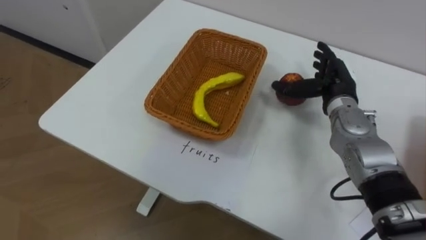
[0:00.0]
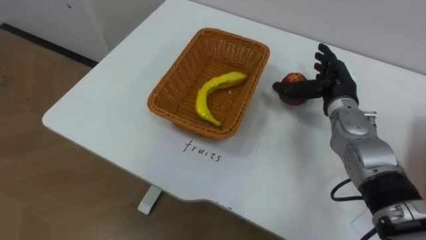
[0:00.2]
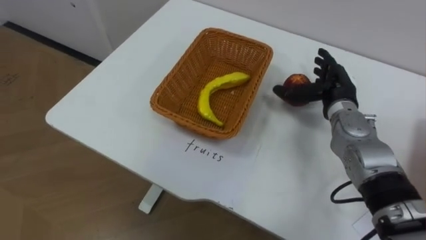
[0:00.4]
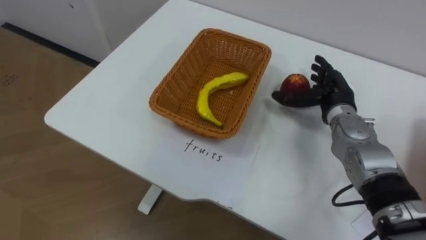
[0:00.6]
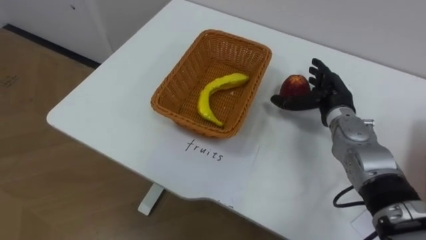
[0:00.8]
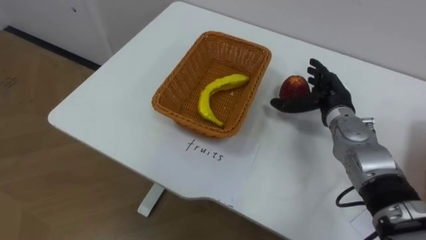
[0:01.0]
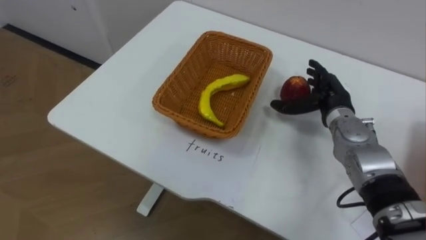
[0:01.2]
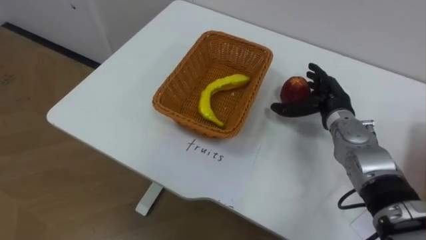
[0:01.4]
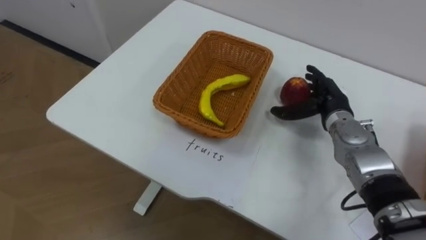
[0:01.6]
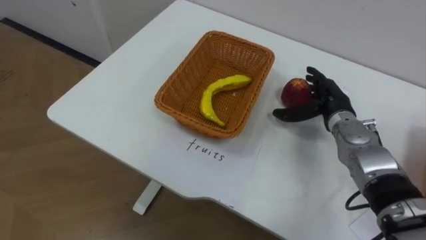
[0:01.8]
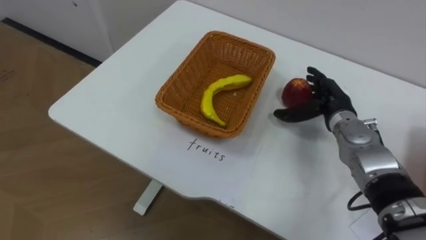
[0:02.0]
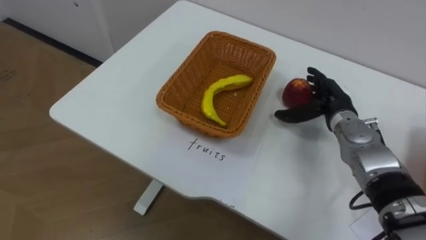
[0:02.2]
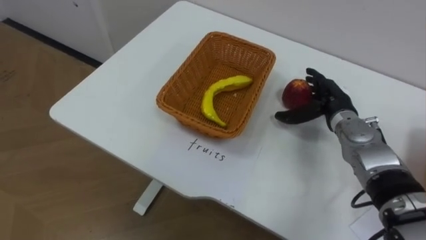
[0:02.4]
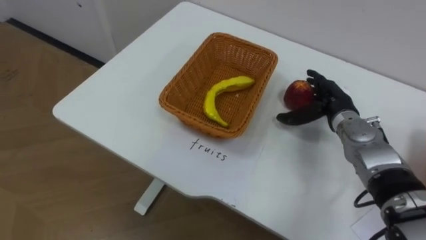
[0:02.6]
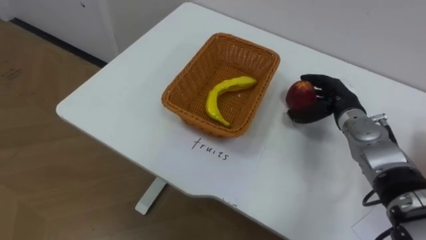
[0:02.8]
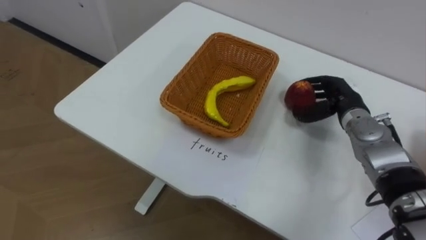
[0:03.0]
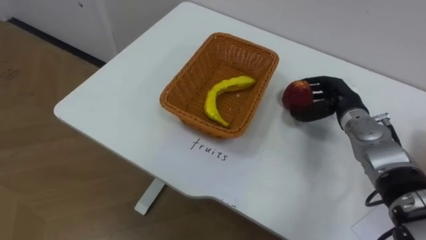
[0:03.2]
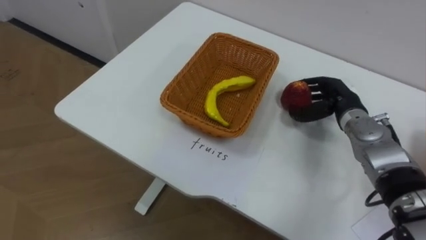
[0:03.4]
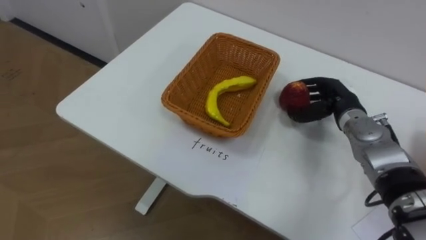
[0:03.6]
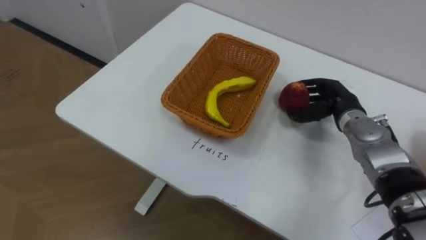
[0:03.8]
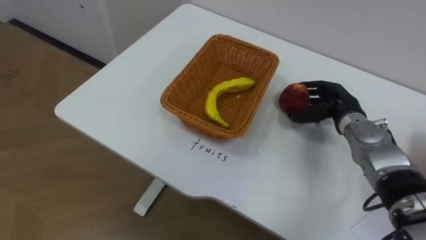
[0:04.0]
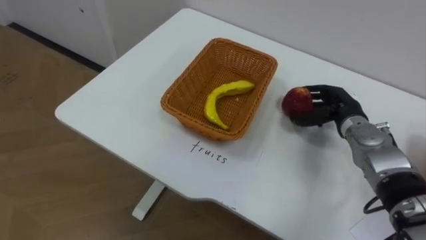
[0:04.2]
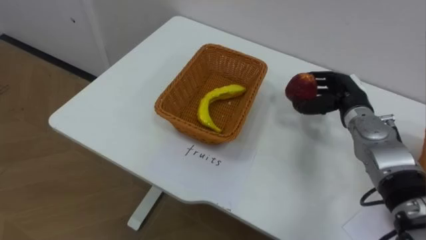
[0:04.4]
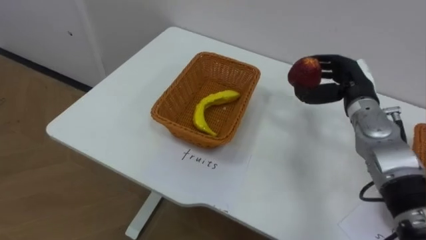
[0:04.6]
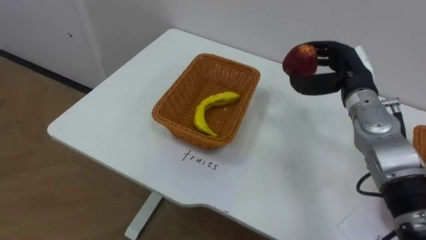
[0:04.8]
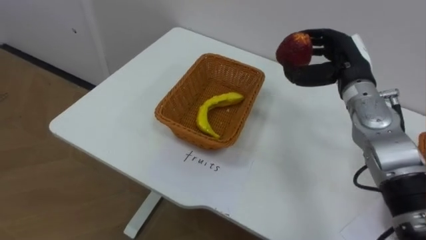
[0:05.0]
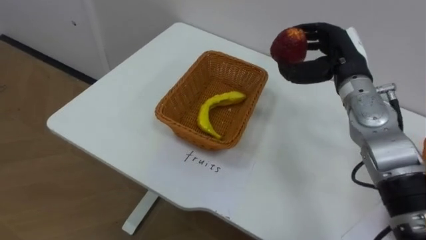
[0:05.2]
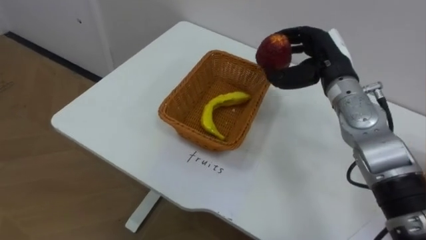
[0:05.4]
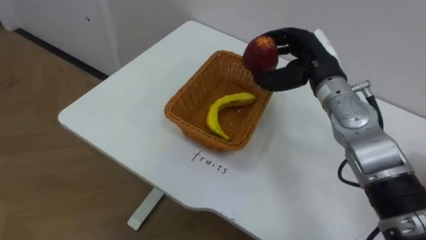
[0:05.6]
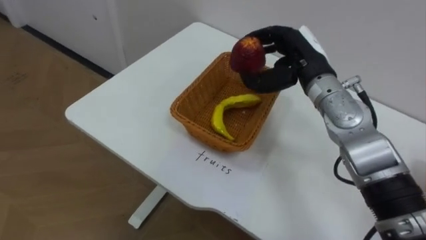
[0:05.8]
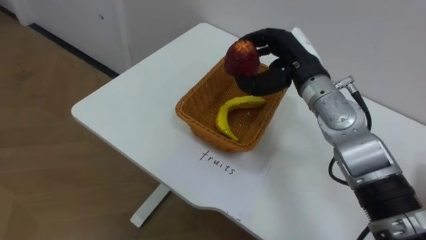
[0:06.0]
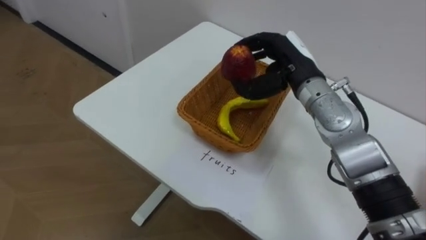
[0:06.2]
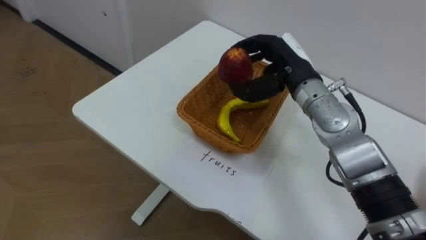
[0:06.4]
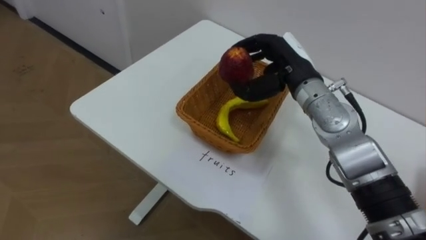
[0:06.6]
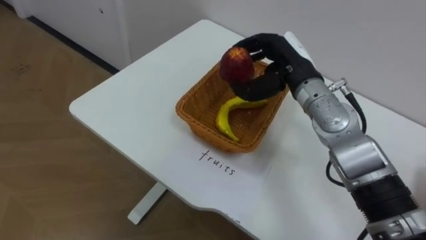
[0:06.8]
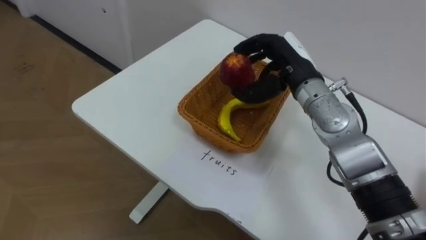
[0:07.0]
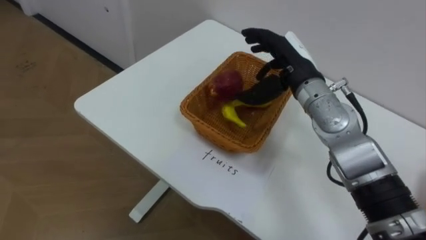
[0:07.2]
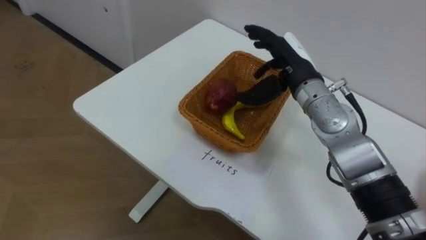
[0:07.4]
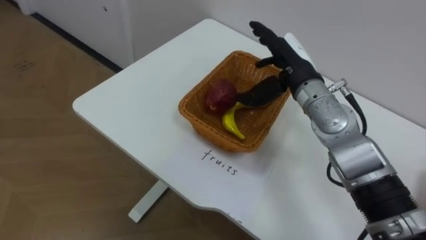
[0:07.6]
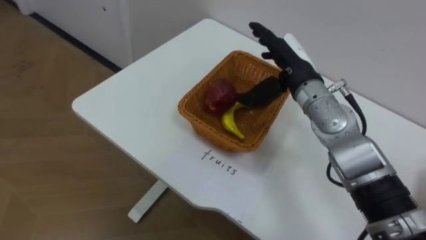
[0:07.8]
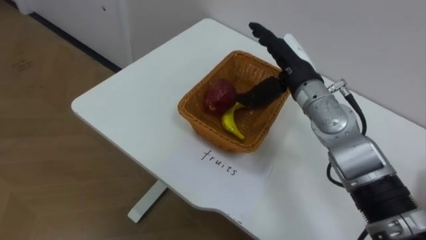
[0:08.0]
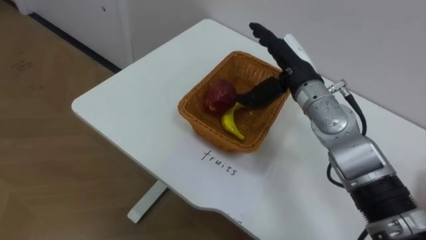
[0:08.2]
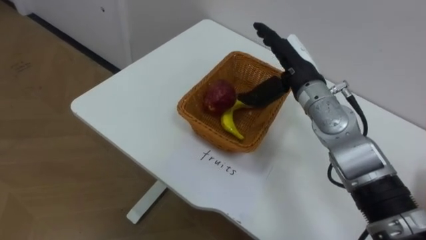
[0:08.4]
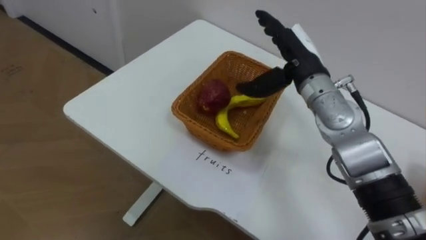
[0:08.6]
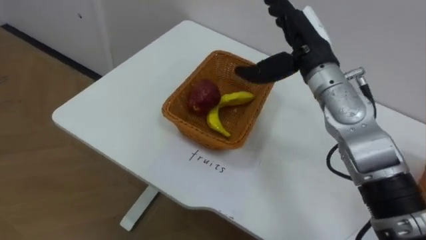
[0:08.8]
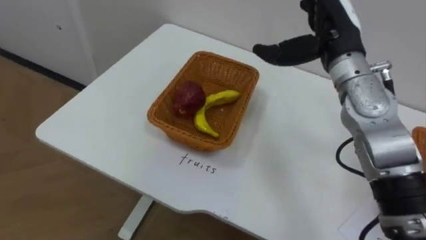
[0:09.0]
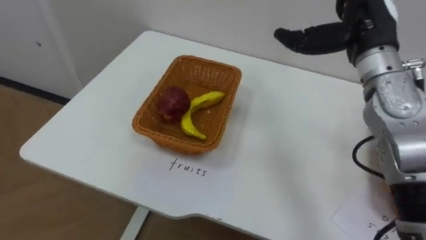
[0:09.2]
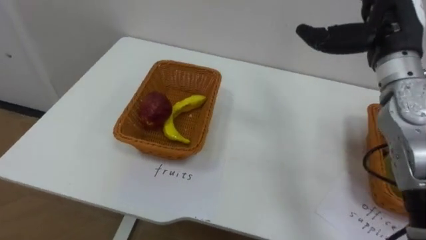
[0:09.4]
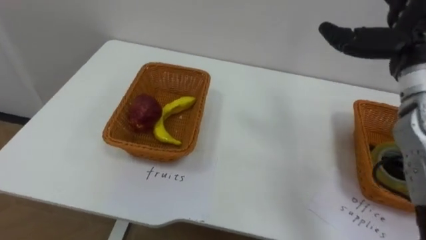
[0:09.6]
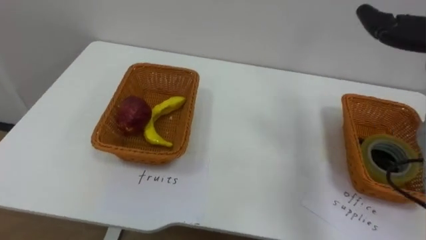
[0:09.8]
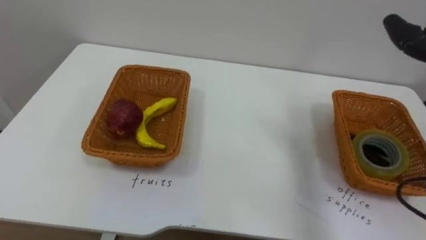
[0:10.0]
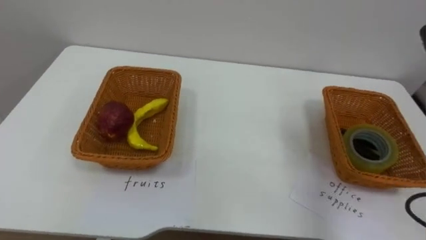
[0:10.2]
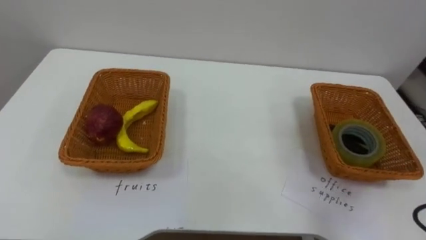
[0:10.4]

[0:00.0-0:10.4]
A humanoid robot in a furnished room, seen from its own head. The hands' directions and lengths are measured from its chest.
Task of the whole recording: Separate the items on the table and place them into the two baskets.
0:01.4 to 0:03.0: The right hand closes up.
0:04.4 to 0:06.0: The right hand moves to the left and upward, roughly 15 cm.
0:06.0 to 0:07.4: The right hand opens its fingers.
0:07.4 to 0:09.0: The right hand is displaced upward by some 5 cm.

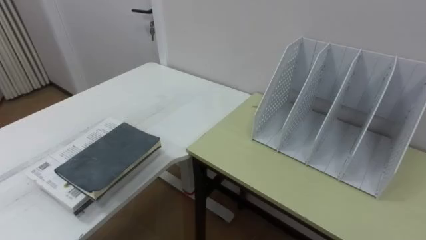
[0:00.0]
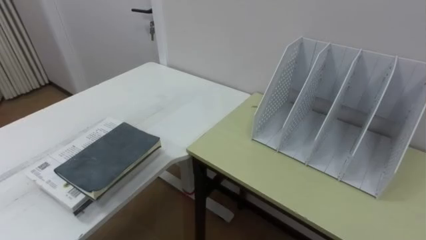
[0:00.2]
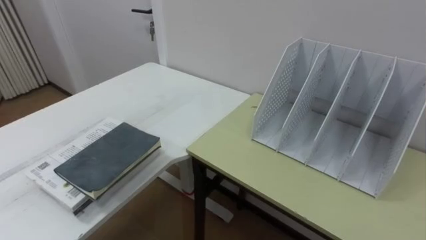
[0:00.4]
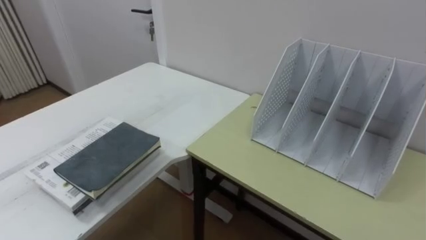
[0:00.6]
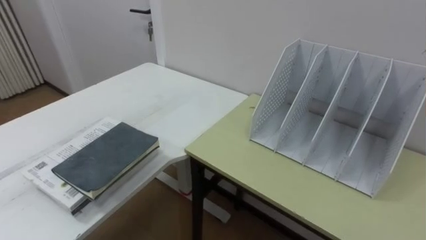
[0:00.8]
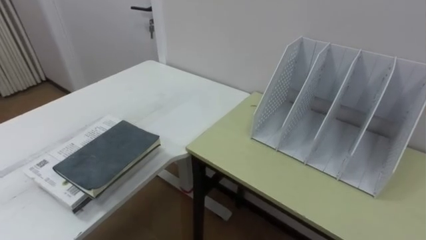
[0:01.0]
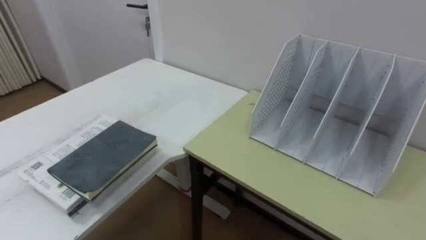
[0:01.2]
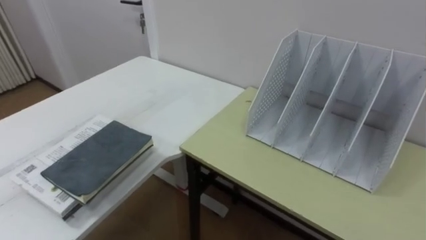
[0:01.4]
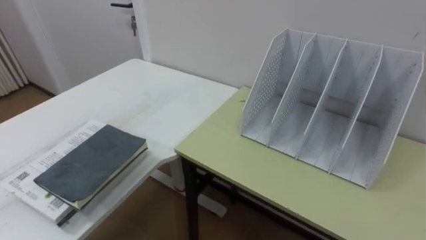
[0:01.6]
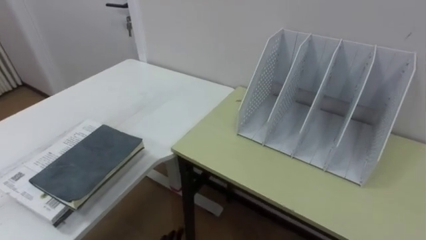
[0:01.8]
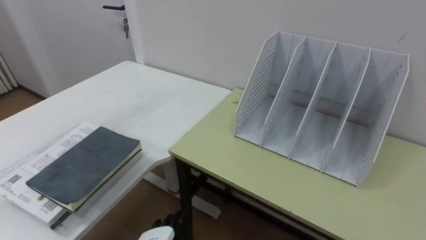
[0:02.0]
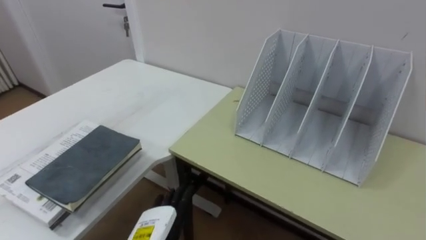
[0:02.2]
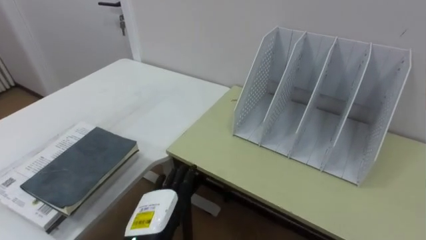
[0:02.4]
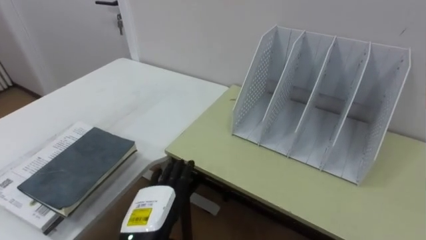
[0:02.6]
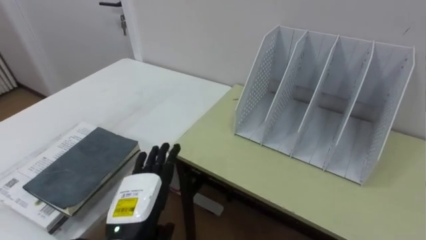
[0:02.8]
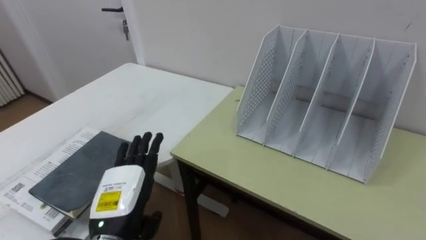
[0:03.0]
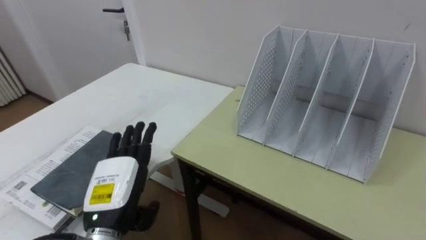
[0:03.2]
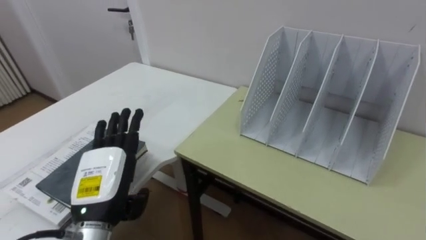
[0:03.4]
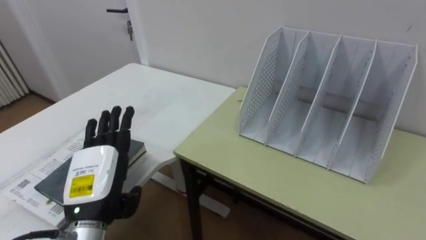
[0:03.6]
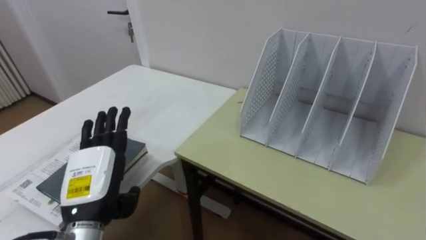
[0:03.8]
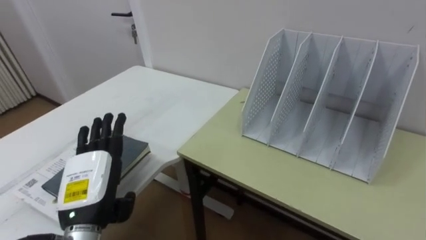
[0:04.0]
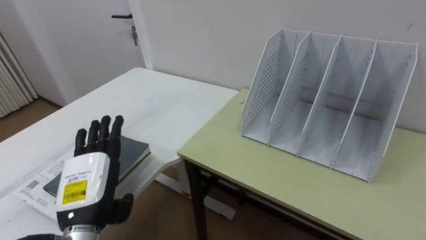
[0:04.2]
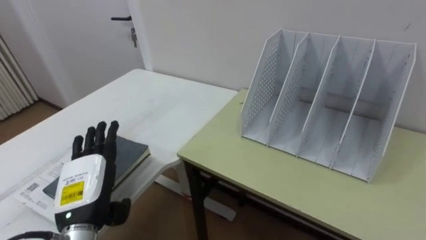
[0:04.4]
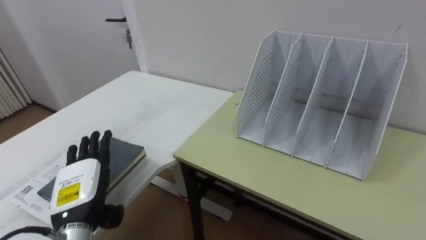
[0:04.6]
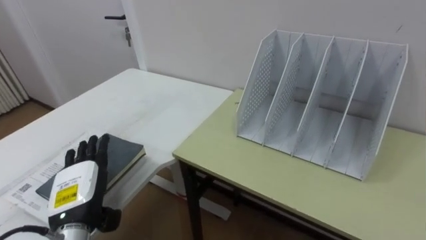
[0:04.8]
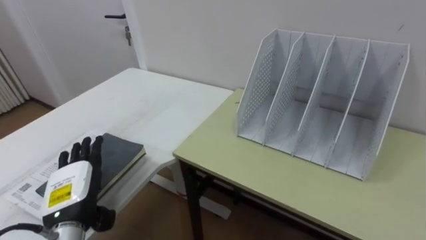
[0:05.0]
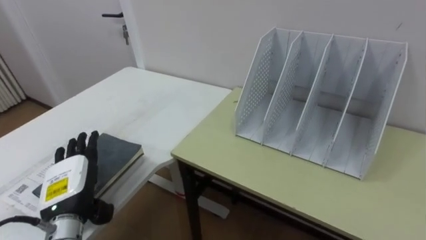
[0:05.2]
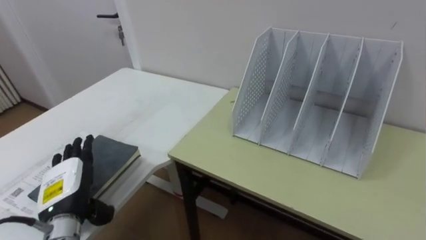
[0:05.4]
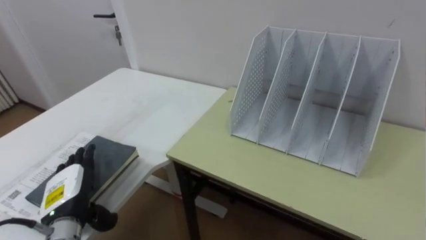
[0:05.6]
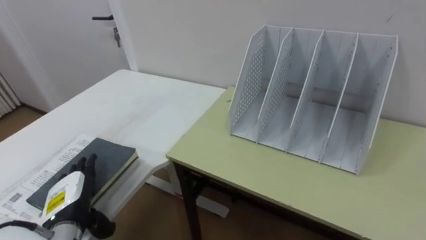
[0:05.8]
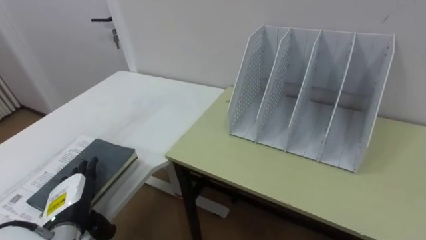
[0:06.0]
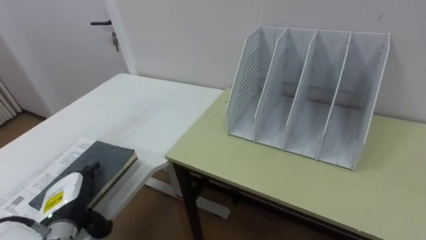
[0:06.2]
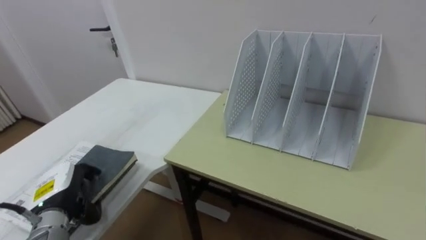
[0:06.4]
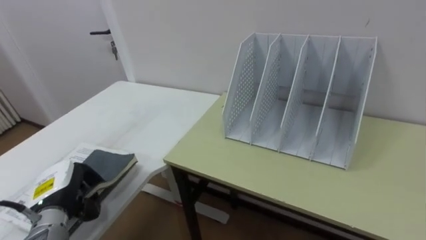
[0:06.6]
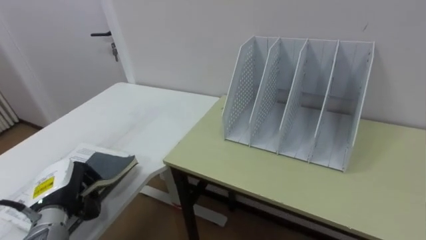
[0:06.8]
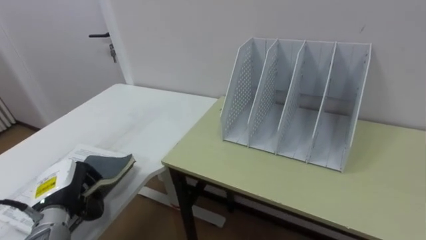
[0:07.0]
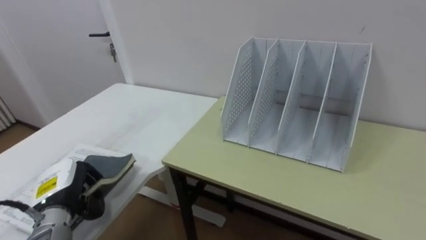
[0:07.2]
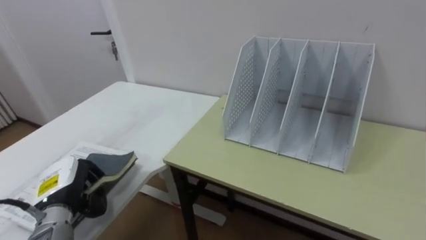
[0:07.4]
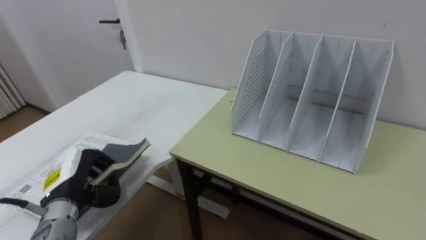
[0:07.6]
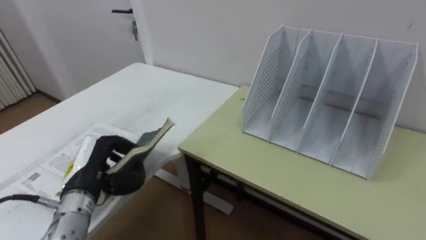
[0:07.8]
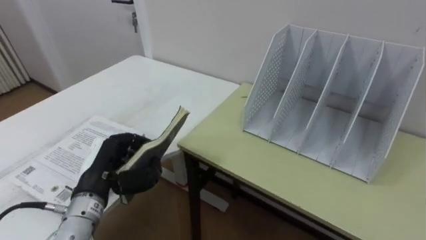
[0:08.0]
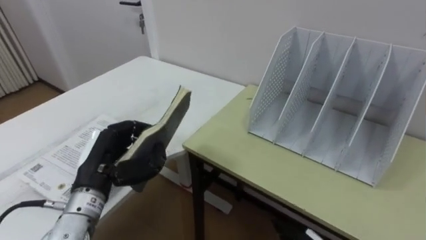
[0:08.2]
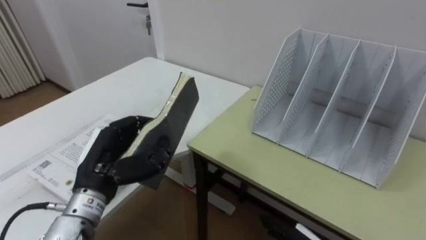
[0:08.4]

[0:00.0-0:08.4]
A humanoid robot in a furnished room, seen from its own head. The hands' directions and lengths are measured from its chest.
Task of the whole recording: Put the books on the table onto the bookshelf.
0:02.8 to 0:04.2: The left hand shifts some 5 cm to the left.
0:04.2 to 0:05.6: The left hand heads downward and to the left, covering approximately 10 cm.
0:05.6 to 0:07.0: The left hand closes.
0:07.0 to 0:08.4: The left hand goes about 15 cm to the right and upward.
